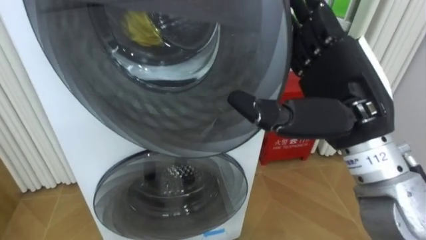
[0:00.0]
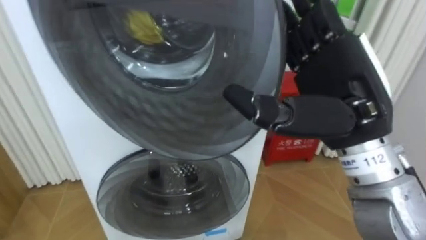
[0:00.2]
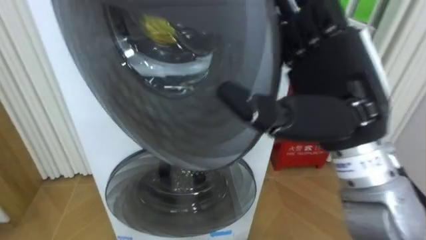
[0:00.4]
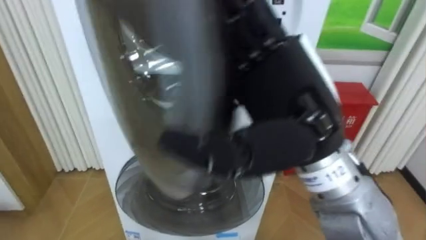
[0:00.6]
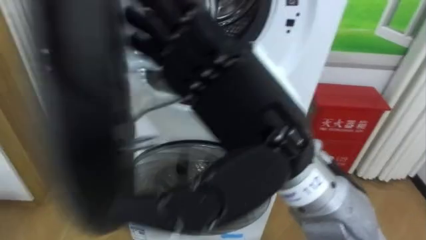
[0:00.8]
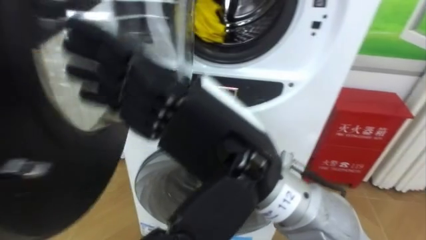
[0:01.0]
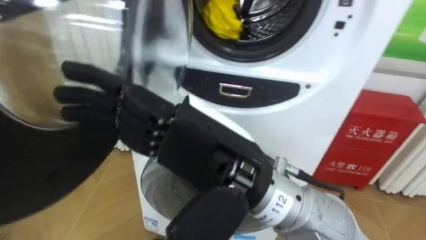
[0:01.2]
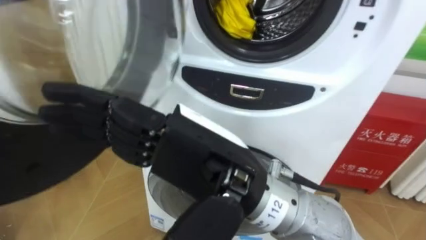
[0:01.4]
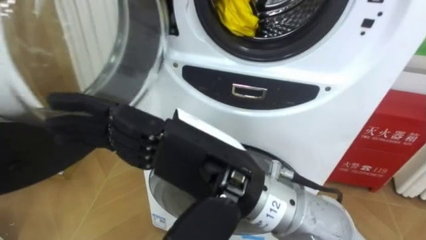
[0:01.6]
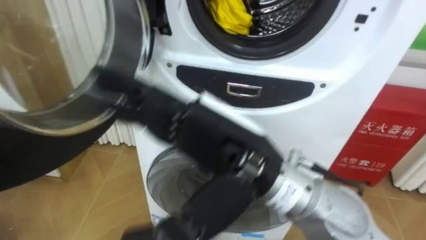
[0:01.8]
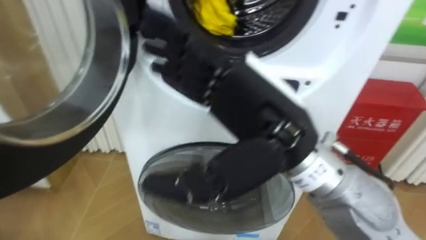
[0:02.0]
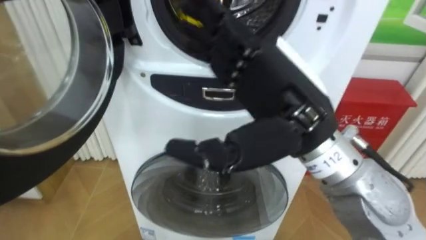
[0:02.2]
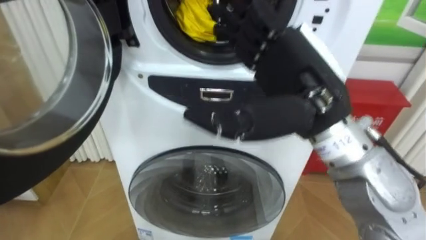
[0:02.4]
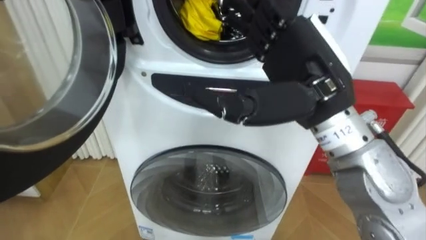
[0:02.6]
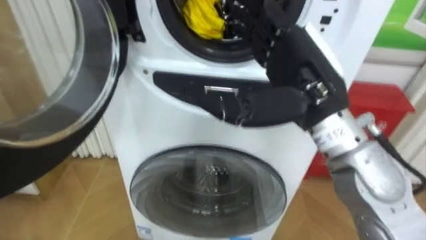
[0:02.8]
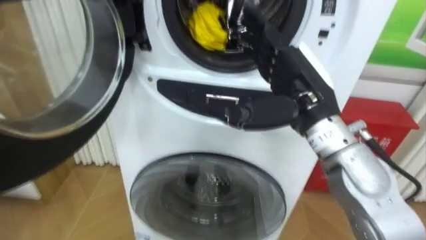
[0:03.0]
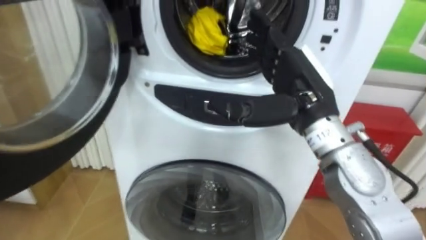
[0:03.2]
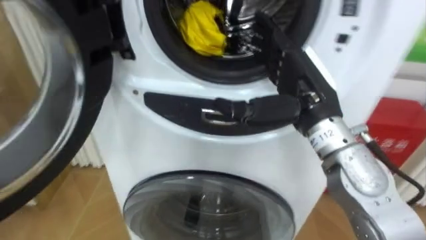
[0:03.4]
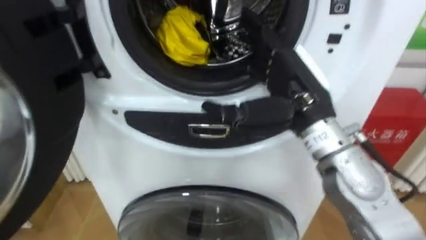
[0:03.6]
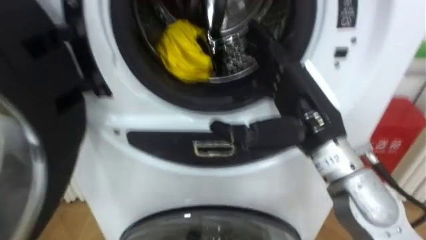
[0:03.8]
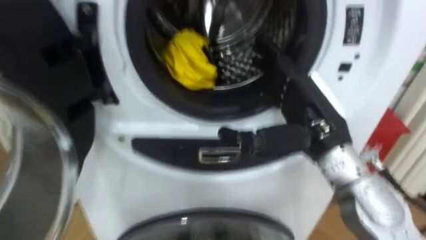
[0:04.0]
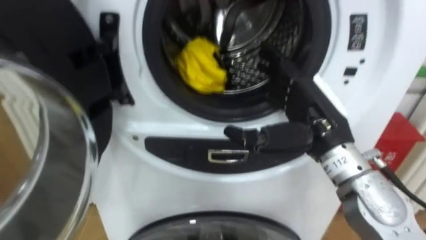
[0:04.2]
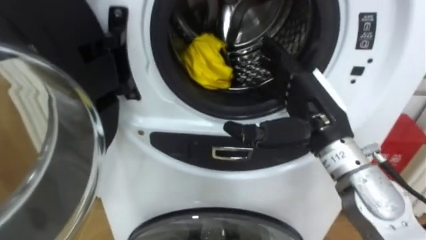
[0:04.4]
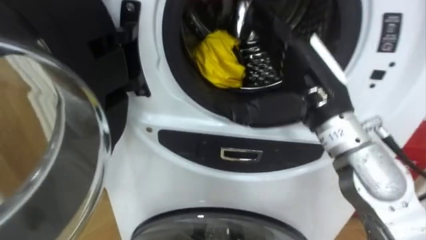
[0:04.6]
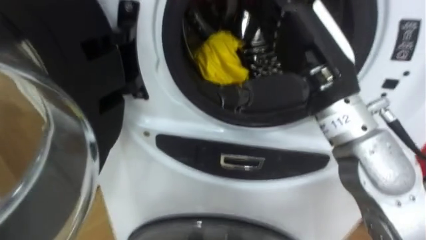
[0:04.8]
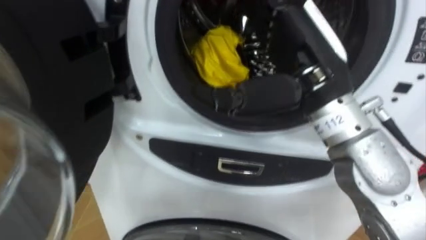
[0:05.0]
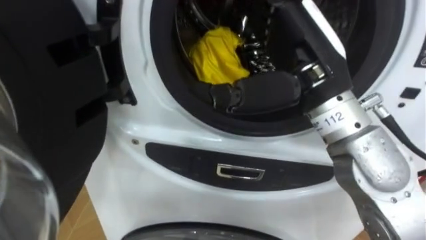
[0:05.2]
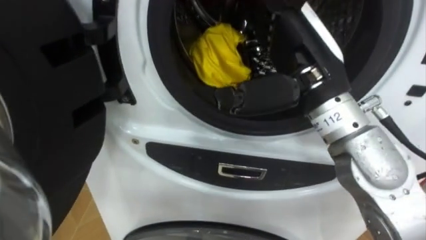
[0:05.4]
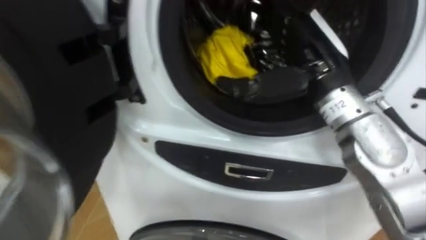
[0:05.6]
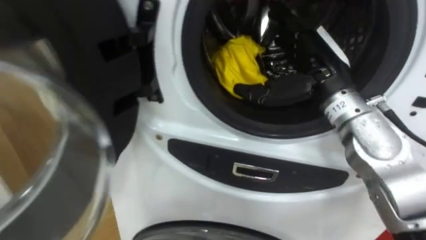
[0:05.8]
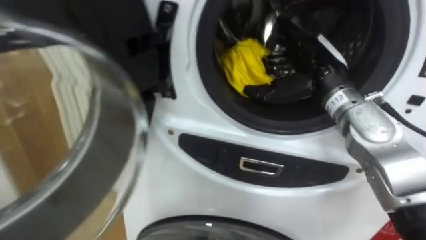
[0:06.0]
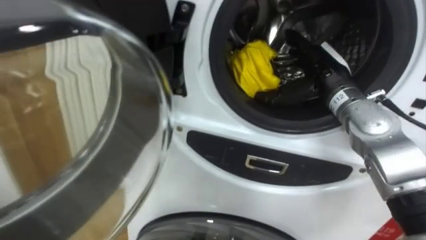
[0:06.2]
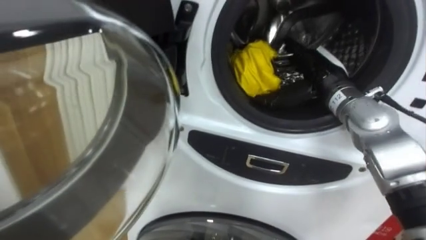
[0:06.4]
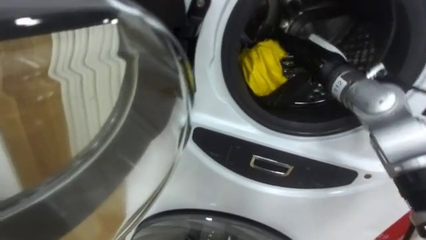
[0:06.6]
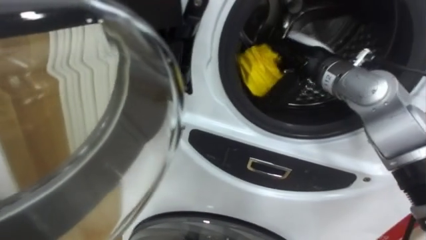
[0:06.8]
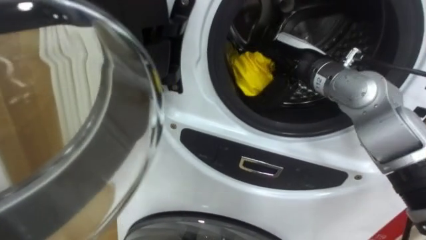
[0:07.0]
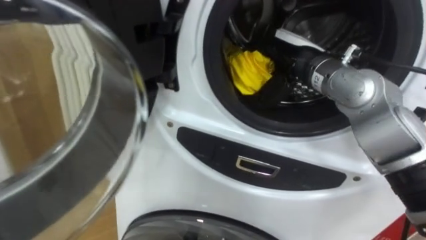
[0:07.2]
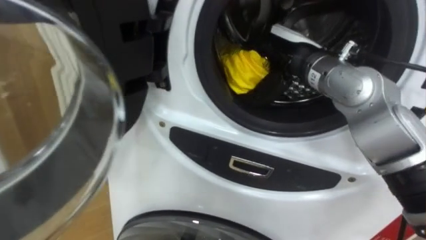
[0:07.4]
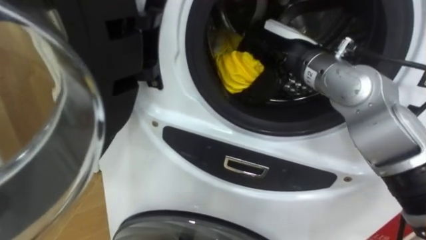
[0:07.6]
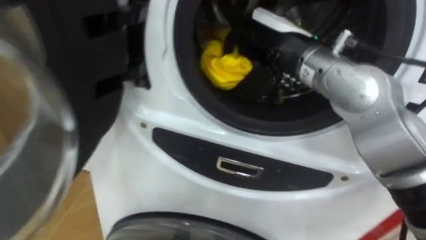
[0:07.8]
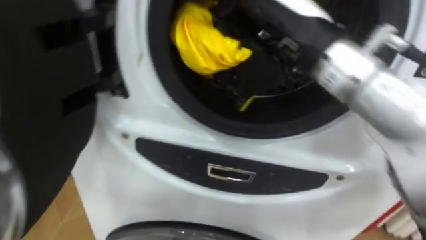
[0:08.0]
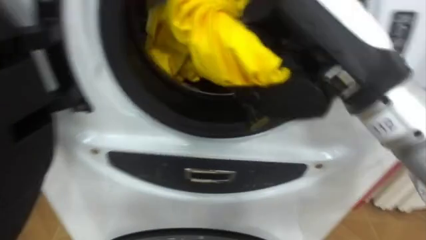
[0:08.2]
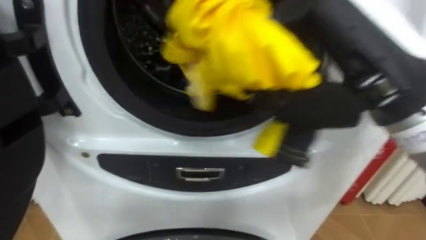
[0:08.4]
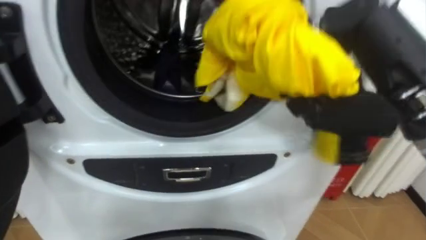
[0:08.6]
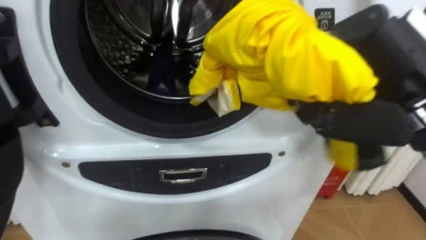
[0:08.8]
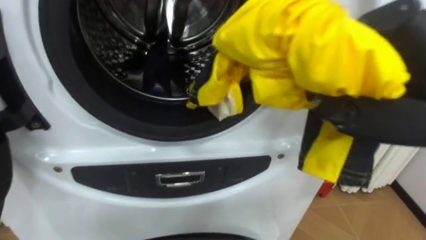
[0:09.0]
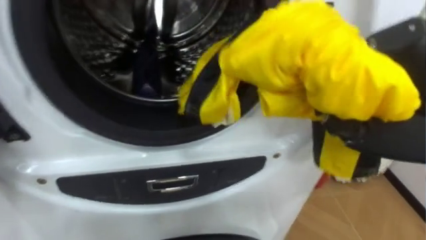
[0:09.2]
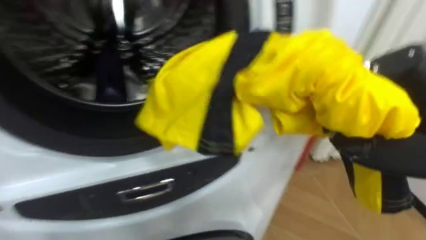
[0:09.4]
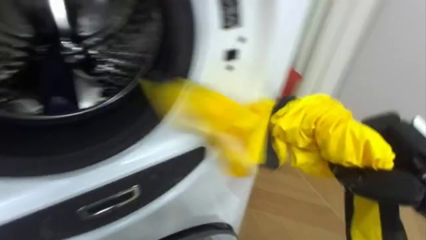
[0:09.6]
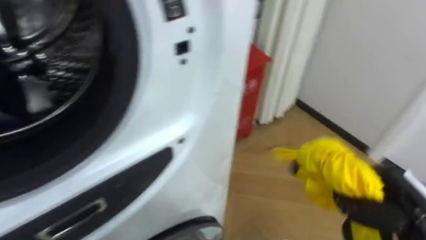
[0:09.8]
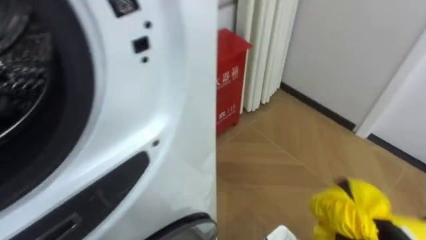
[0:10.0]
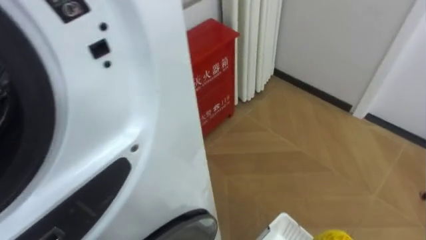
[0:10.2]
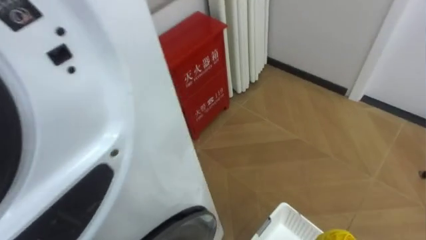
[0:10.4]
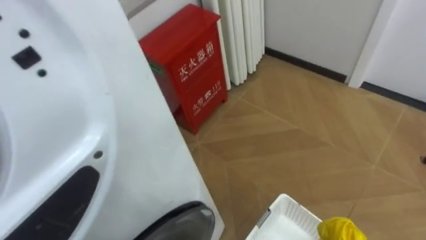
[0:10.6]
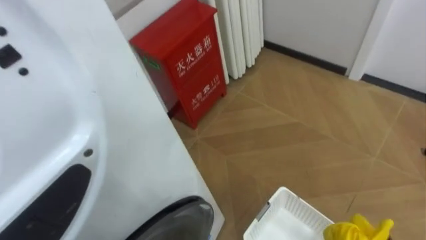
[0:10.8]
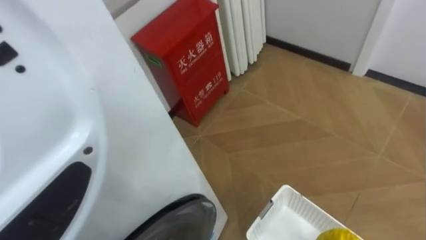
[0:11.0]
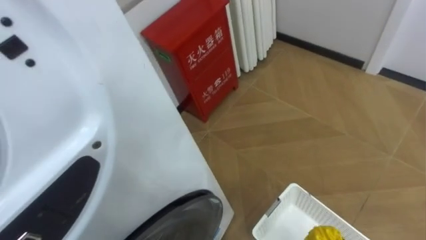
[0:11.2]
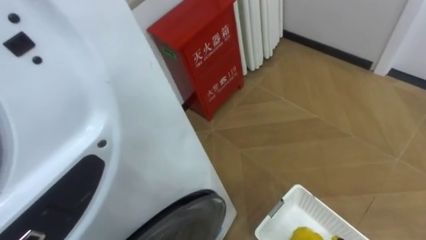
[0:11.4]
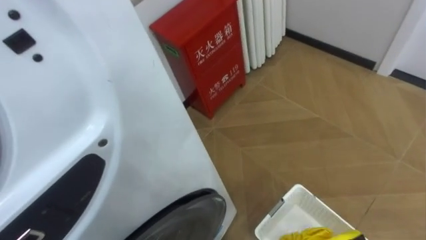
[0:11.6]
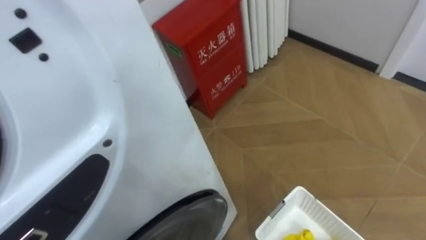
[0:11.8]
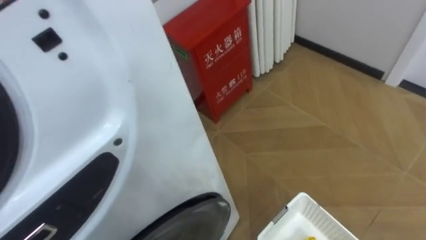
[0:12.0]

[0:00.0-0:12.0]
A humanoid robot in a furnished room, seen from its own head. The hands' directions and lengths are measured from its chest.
Task of the whole recording: Open the washing machine door, take out the yellow clothes, place them in the box on the right, and close the washing machine door.
0:00.0 to 0:01.6: The right hand goes roughly 15 cm to the left and backward.
0:01.6 to 0:03.0: The right hand moves to the right and forward, some 20 cm.
0:04.4 to 0:06.0: The right hand is displaced forward by roughly 10 cm.
0:06.0 to 0:07.6: The right hand goes approximately 5 cm to the left, and closes its fingers.
0:07.6 to 0:09.0: The right hand goes about 20 cm backward and to the right.
0:09.0 to 0:10.4: The robot turns to its right by approximately 30 degrees.

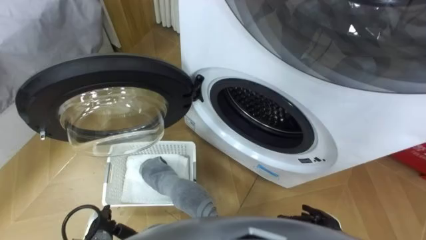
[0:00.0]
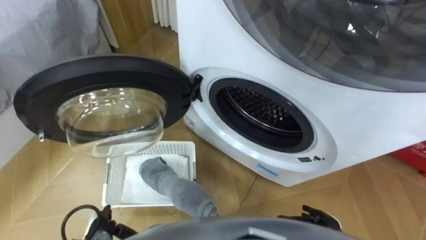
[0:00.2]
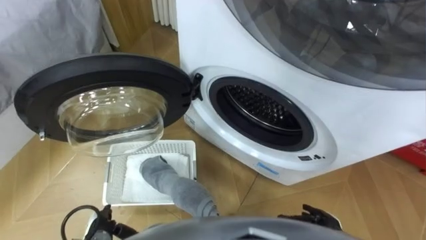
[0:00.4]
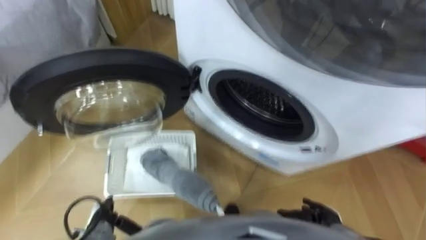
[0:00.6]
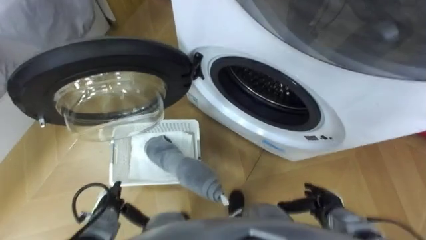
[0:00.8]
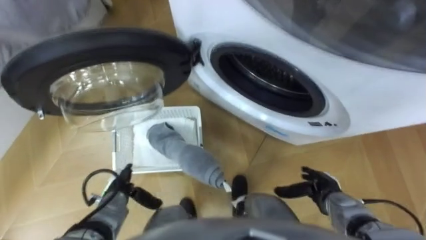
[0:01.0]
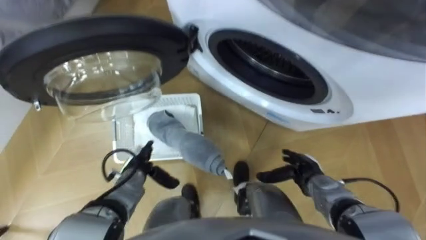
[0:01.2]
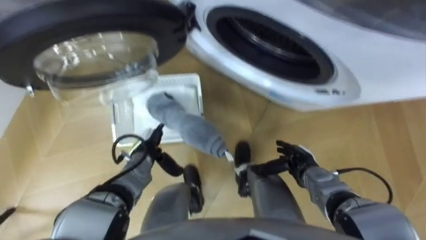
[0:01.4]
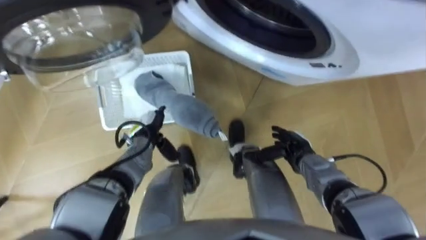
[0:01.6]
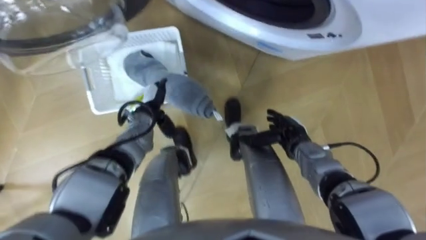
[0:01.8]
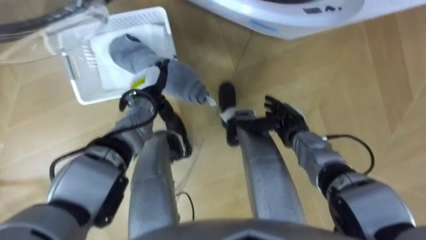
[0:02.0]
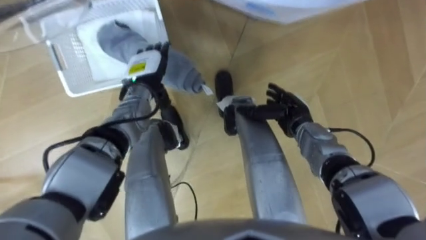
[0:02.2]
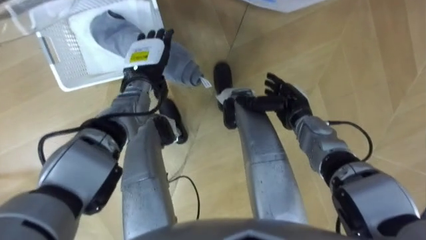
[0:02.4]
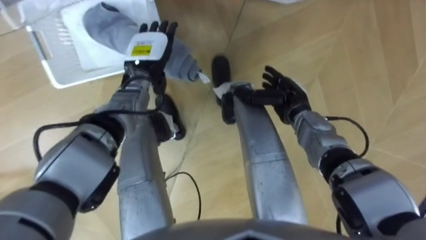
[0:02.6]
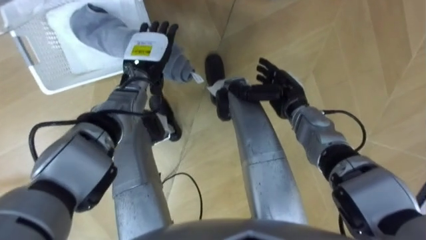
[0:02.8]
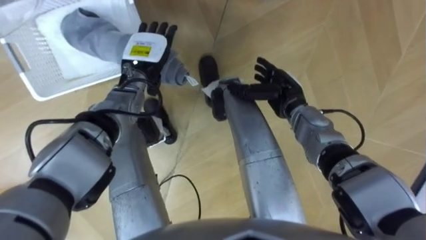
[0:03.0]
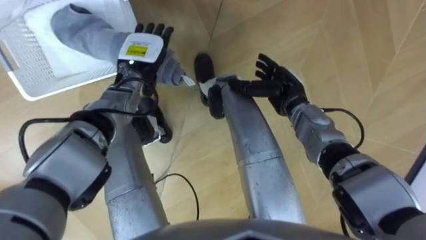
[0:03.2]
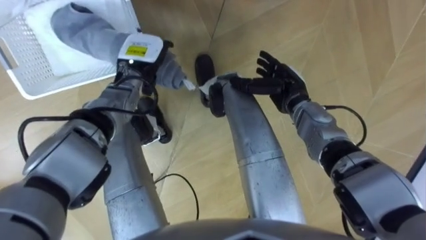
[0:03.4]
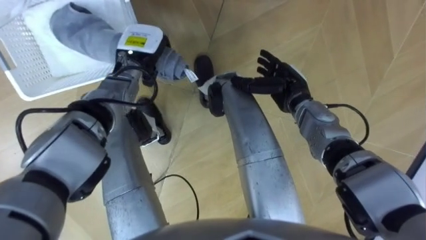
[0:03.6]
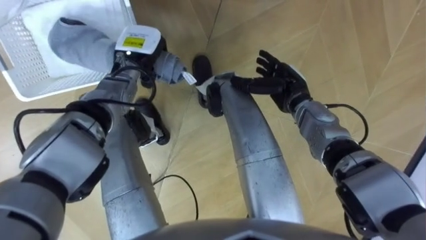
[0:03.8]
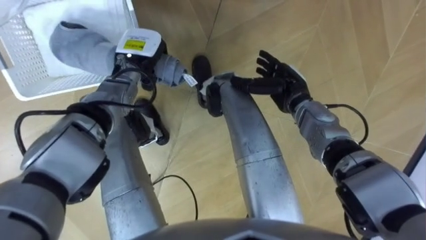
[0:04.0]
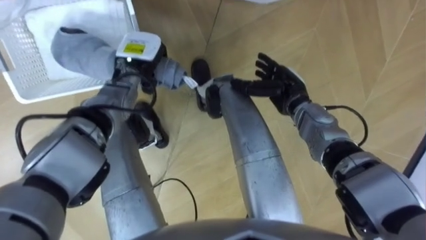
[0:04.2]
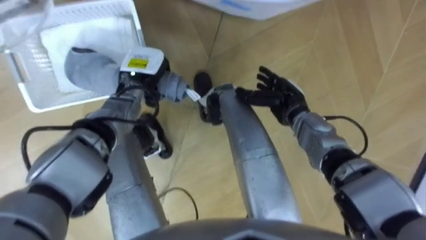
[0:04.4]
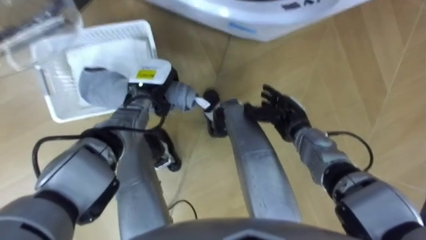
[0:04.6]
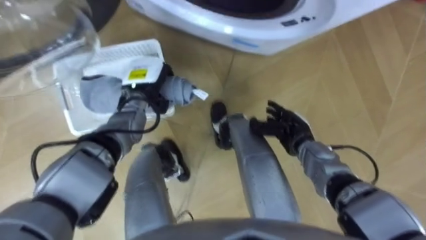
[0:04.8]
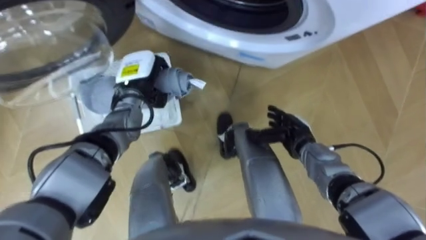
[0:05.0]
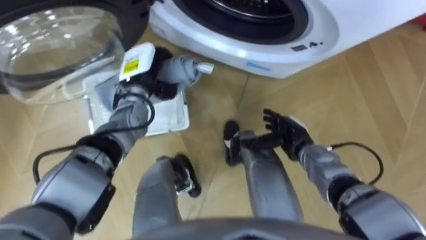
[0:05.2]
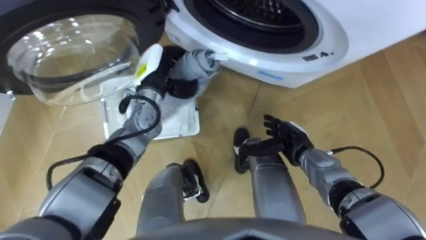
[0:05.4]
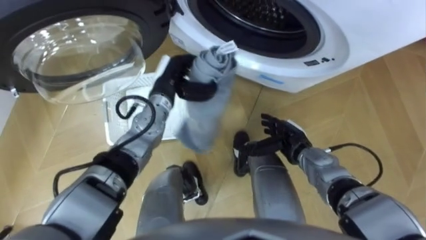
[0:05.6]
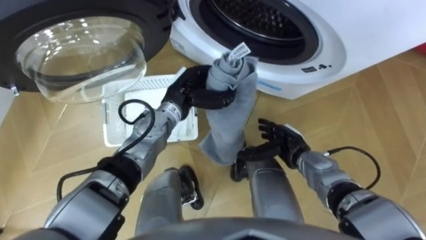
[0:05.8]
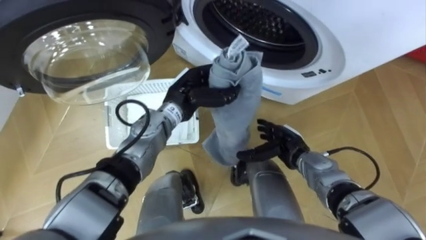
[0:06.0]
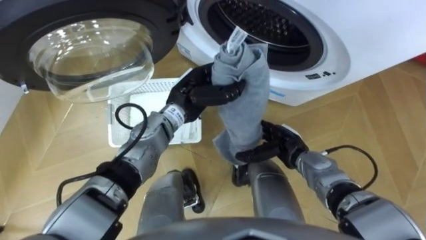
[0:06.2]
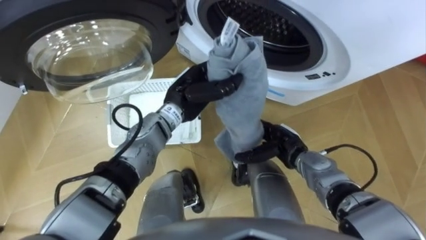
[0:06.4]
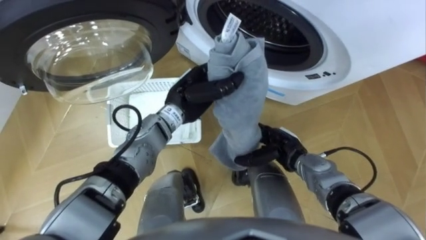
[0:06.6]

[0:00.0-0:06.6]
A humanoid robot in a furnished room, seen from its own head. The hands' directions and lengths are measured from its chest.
Task of the whole recording: Take the towel from the basket and put it into the washing machine.
0:01.6 to 0:03.2: The right hand moves forward and upward, roughly 15 cm, while the left hand shifts about 15 cm upward and forward.
0:03.2 to 0:05.0: The left hand closes its fingers; the right hand heads backward and downward, covering approximately 10 cm.
0:05.0 to 0:06.6: The left hand shifts roughly 10 cm to the right.
